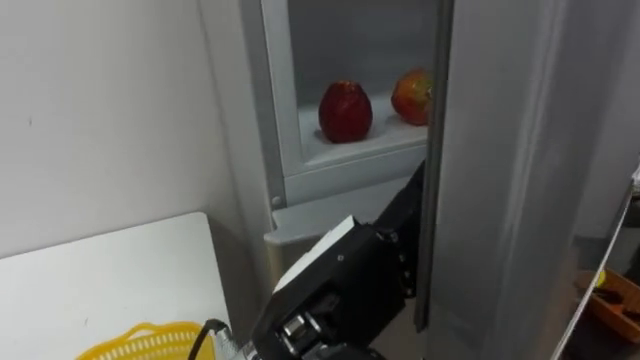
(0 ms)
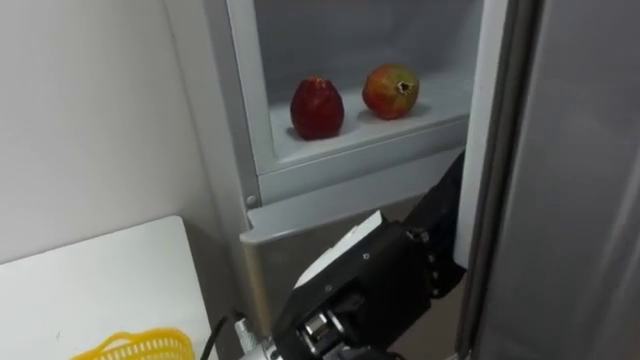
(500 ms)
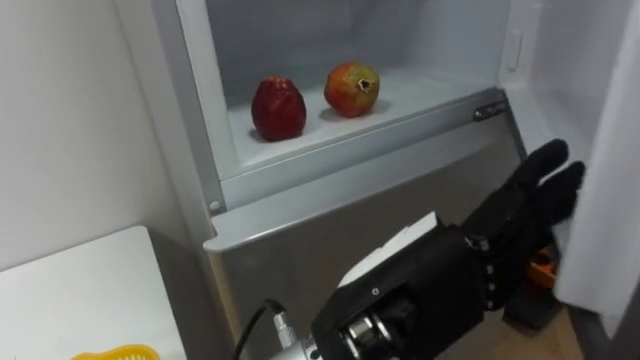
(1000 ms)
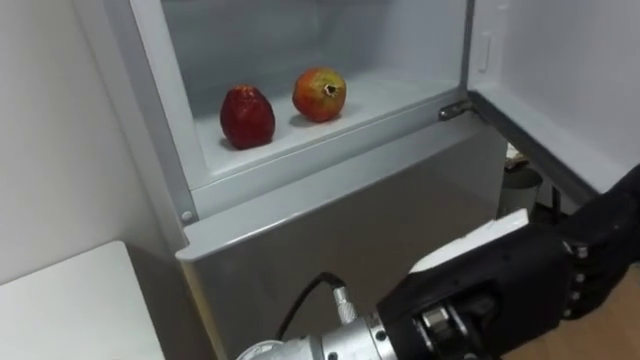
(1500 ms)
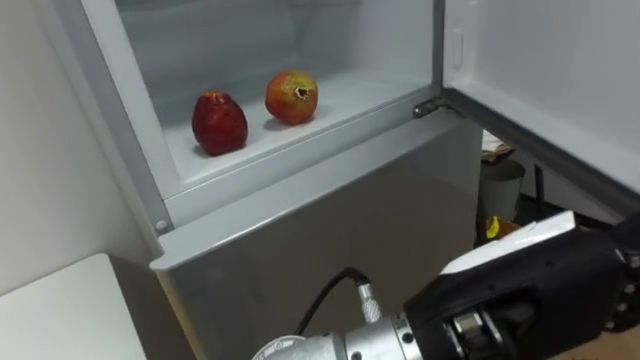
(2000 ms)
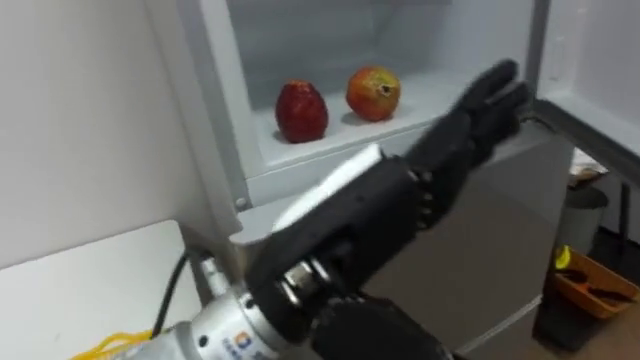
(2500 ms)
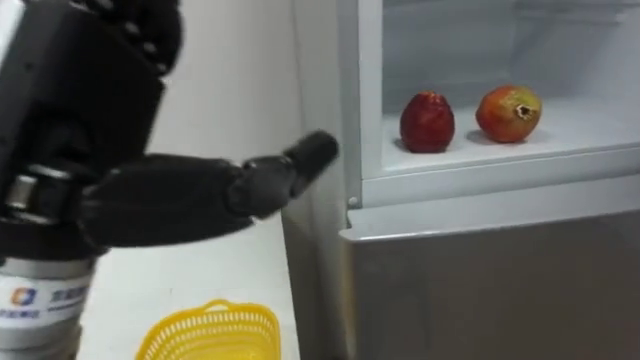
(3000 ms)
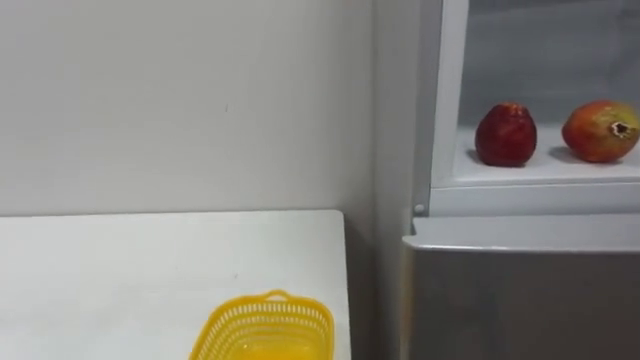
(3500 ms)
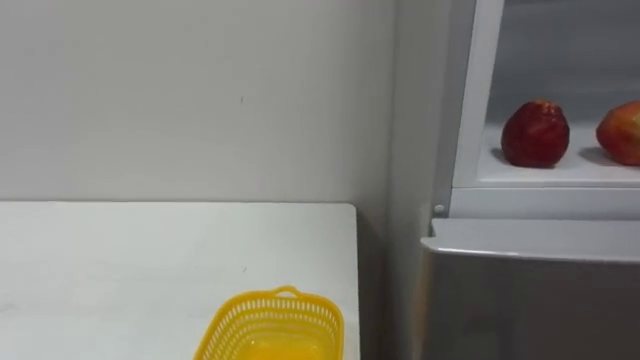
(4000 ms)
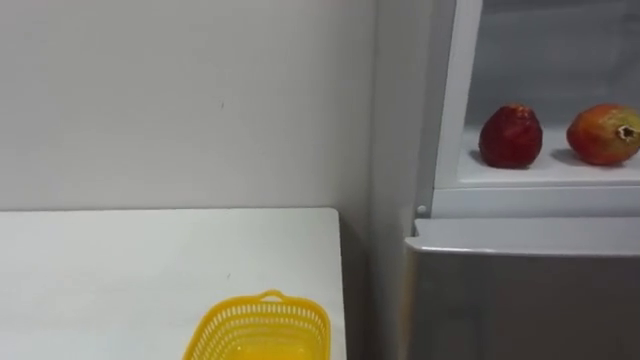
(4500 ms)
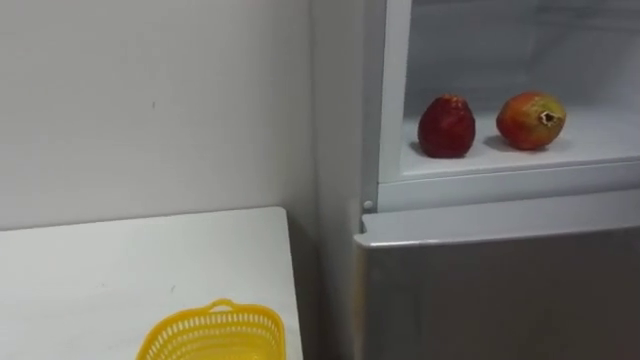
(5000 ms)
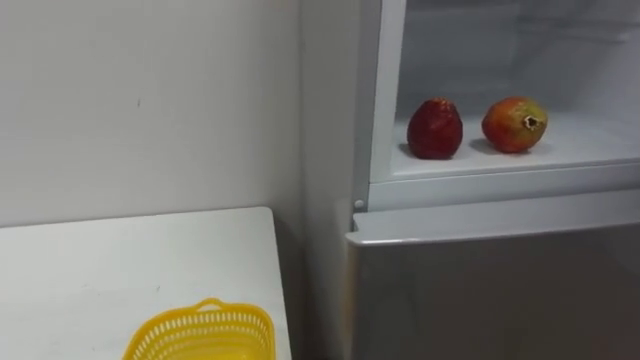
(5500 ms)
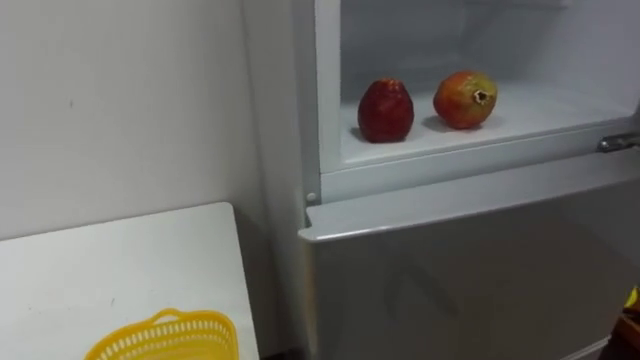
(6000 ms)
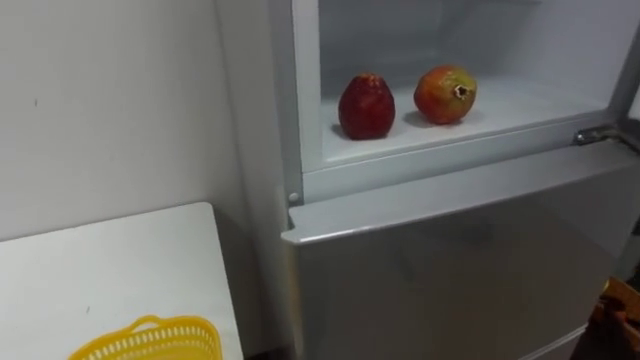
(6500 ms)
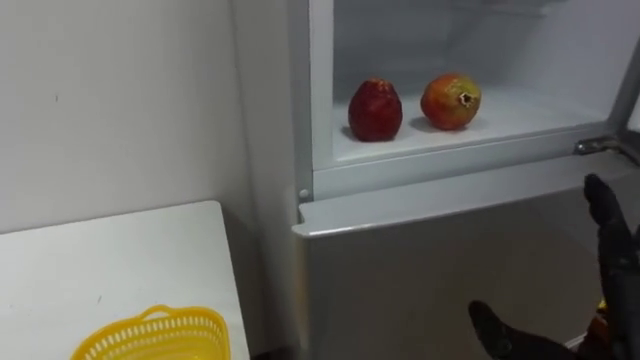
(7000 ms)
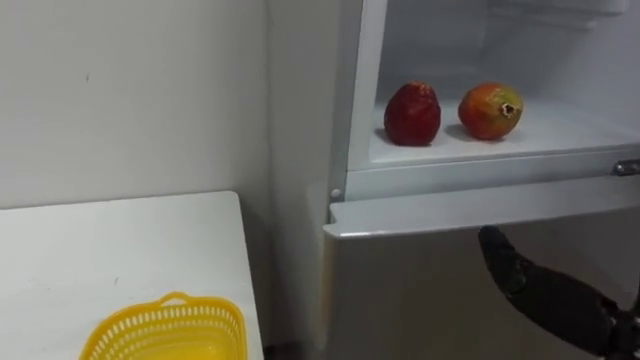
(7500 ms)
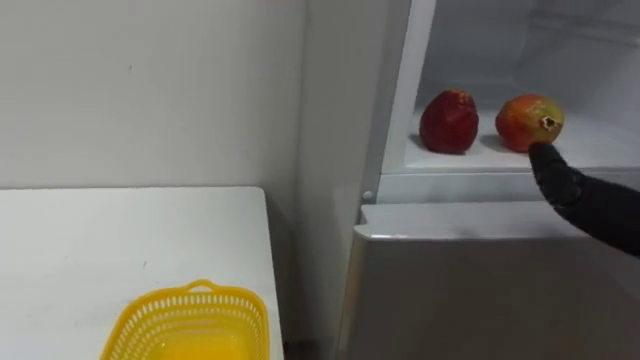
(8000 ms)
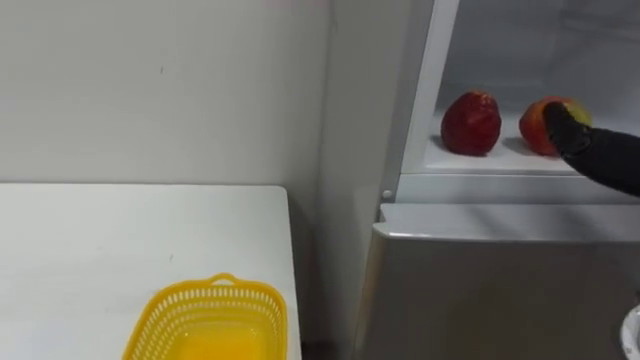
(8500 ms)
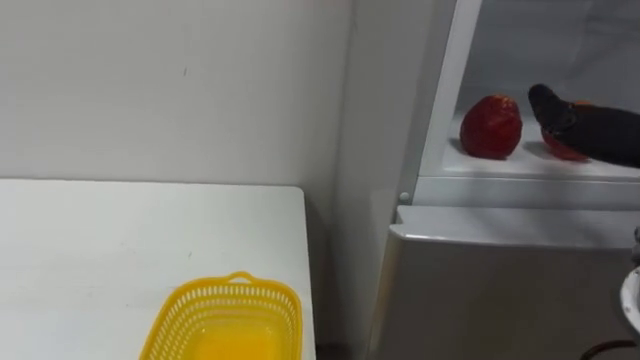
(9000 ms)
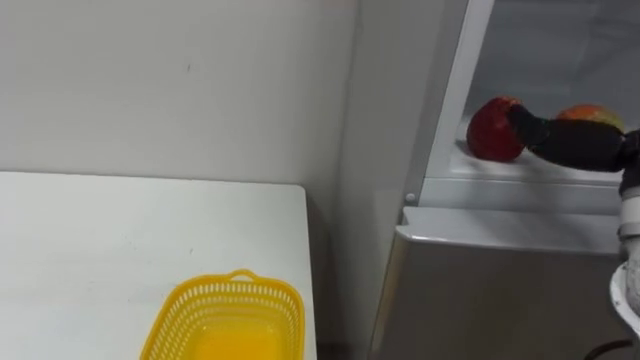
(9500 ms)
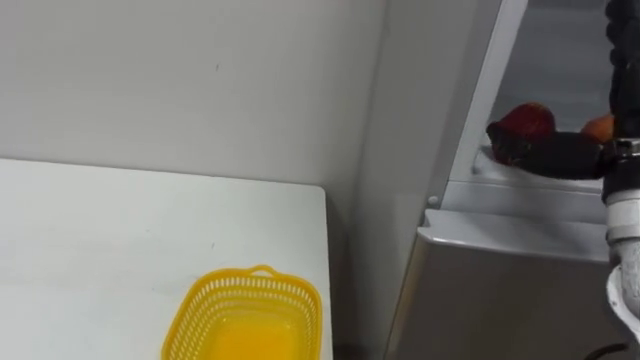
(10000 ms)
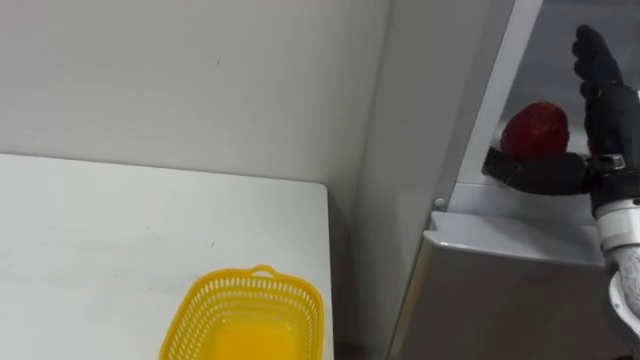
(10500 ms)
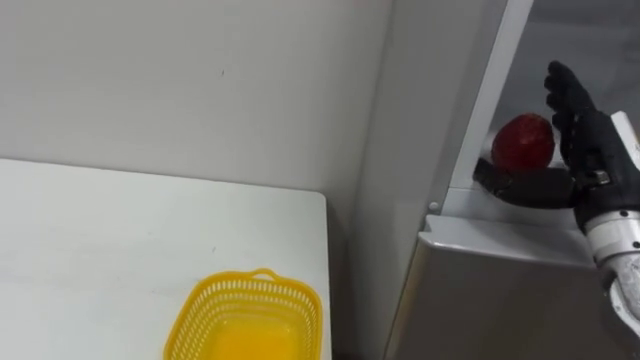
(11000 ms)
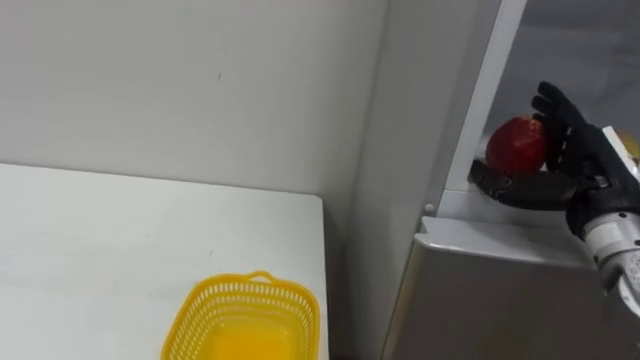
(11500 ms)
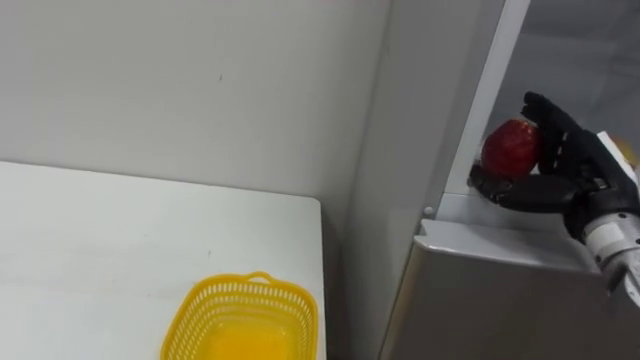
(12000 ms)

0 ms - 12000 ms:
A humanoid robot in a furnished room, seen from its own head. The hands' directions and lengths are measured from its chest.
Task of the whole recording: Open the refrigerator door, take out the apple and the pomegranate, place them in the fruit basket on the left, and close the refrigerator door.
0 ms - 2000 ms: The left hand shifts roughly 10 cm to the right.
10000 ms - 12000 ms: The right hand shifts about 10 cm downward and forward.

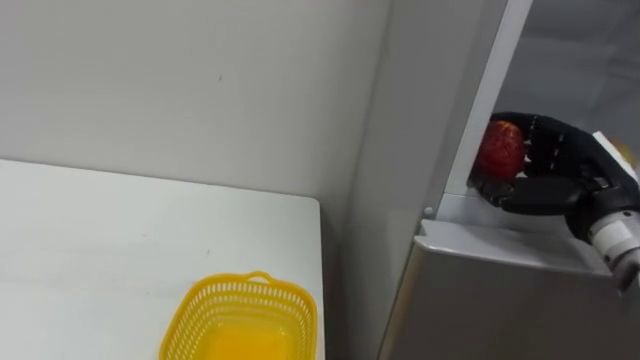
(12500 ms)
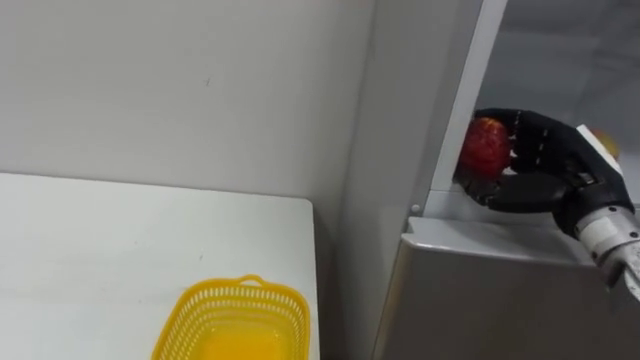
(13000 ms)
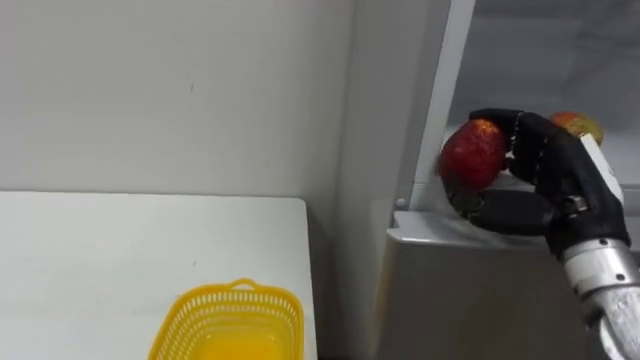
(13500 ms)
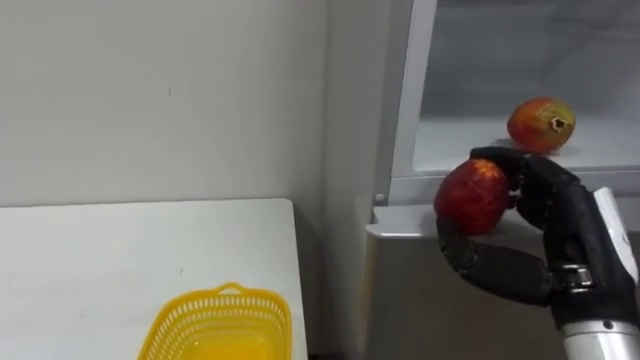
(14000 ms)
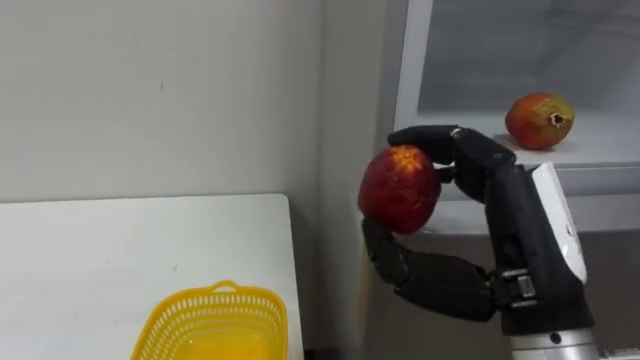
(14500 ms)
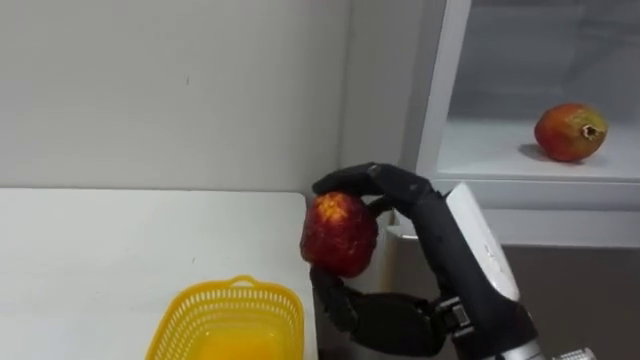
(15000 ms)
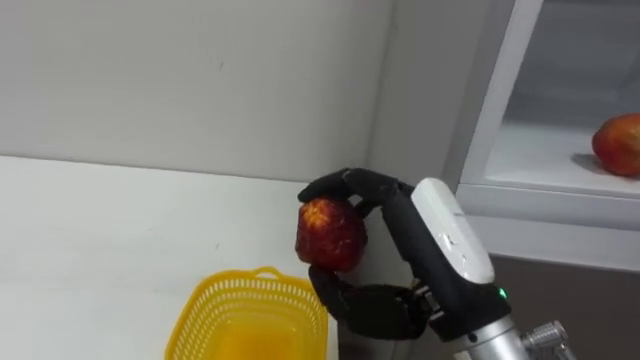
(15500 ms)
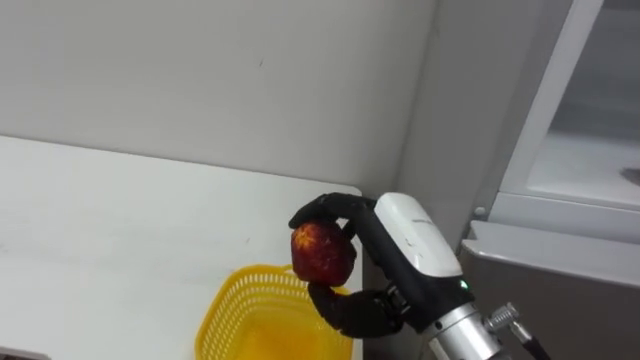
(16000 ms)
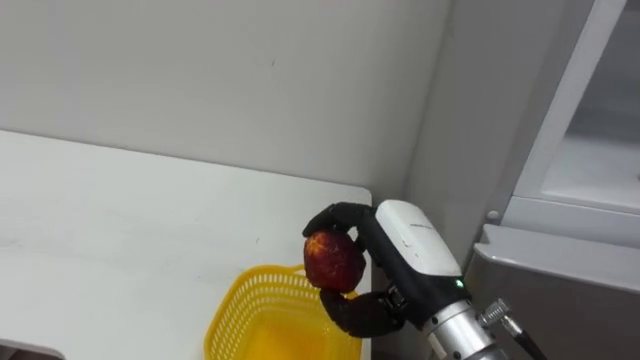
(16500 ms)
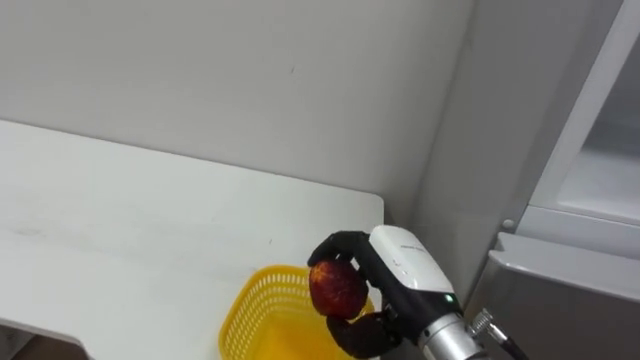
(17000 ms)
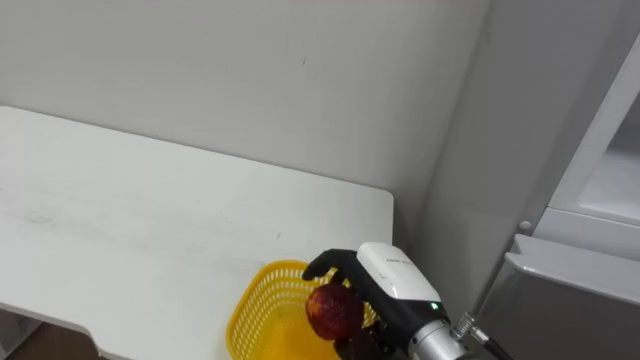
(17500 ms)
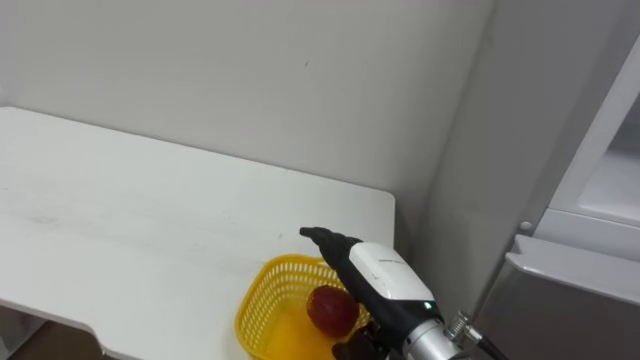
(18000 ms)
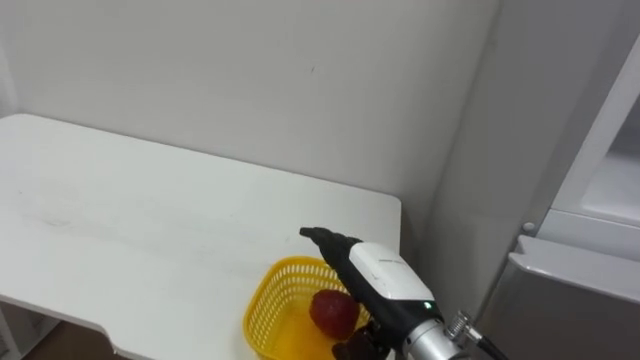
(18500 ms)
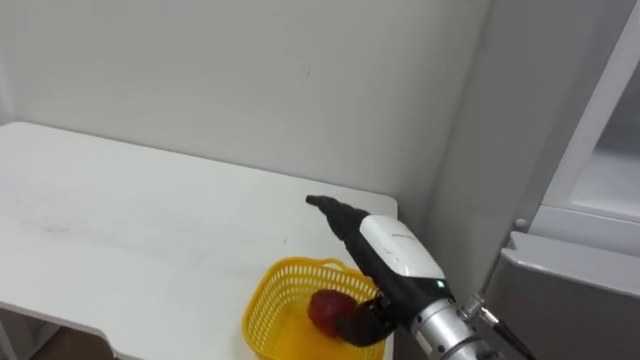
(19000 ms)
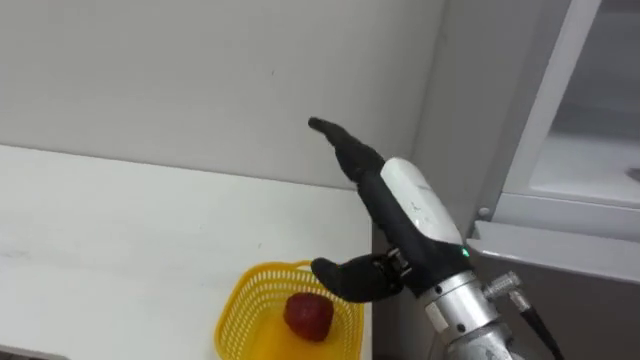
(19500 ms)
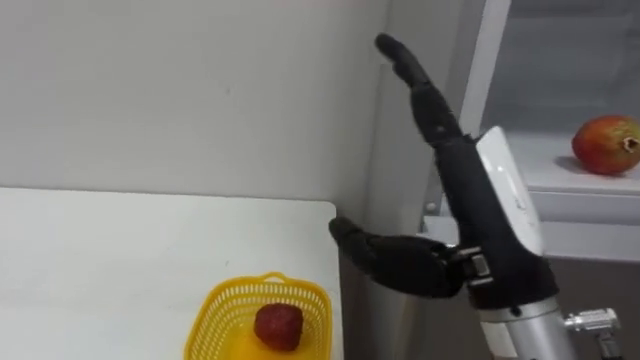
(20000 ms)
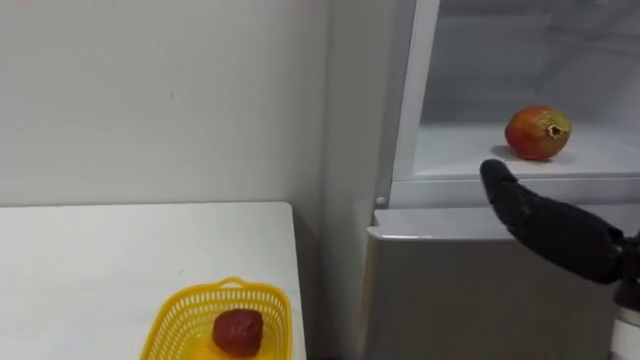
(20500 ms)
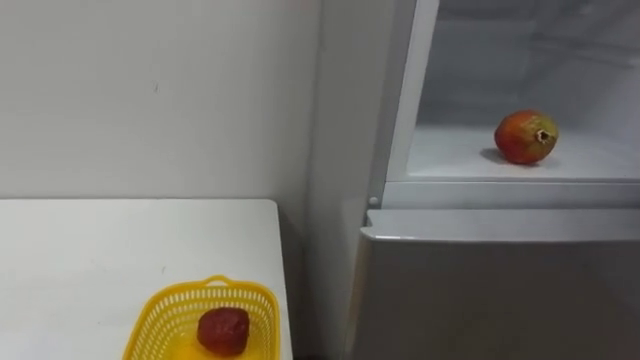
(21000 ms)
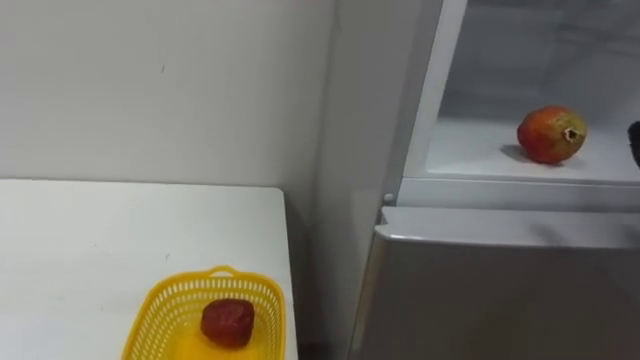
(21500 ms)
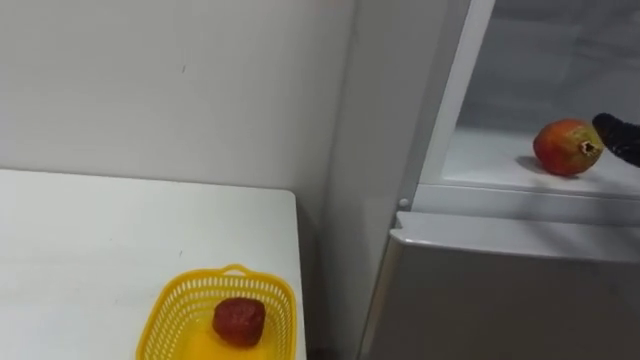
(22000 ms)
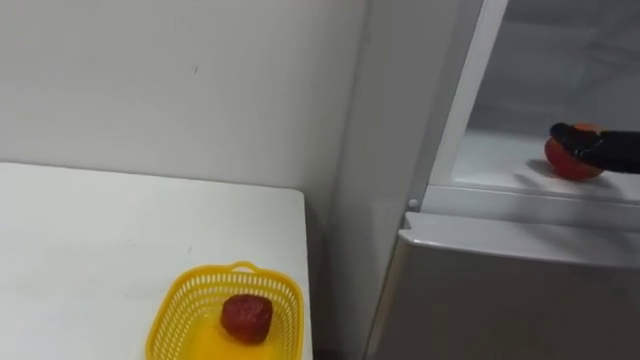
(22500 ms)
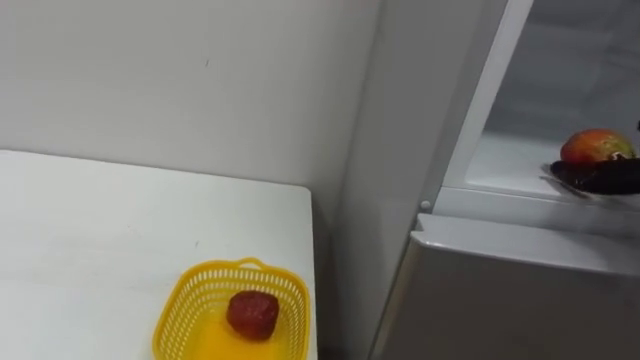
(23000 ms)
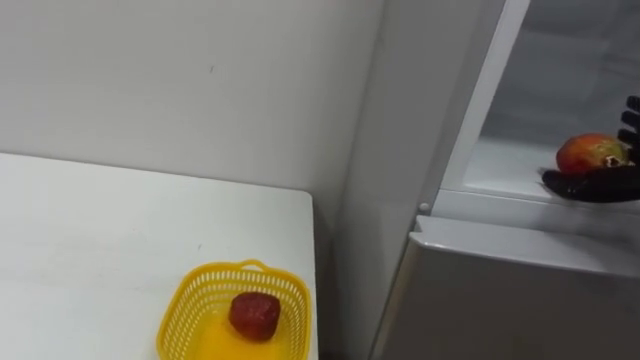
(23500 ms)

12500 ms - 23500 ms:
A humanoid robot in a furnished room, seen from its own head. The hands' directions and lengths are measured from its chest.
Task of the whole recording: Open the refrigerator door, take out the apple and the pomegranate, place them in the fruit basket on the left, and close the refrigerator door.
12500 ms - 14500 ms: The right hand moves backward and to the left, approximately 20 cm.
14500 ms - 16000 ms: The right hand travels to the left by about 5 cm.
16000 ms - 18000 ms: The right hand moves downward, about 10 cm, and opens.
18000 ms - 20000 ms: The right hand moves upward and backward, about 15 cm.
